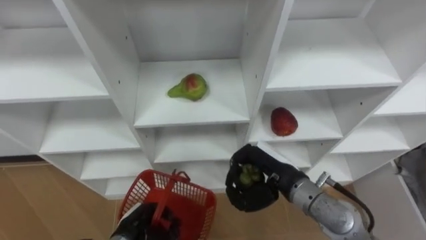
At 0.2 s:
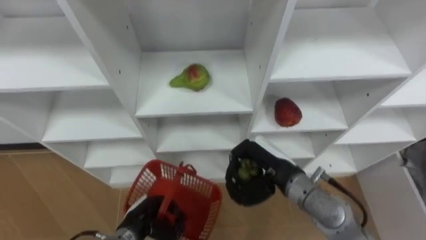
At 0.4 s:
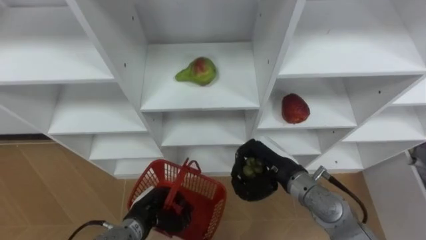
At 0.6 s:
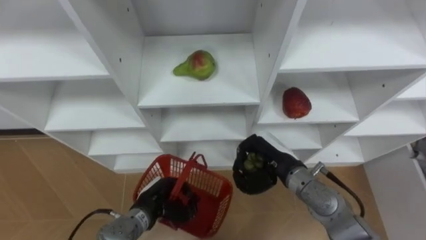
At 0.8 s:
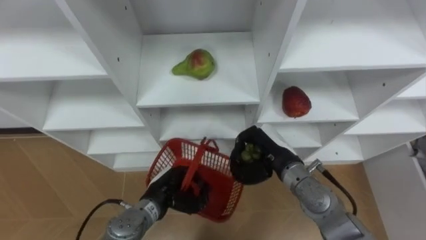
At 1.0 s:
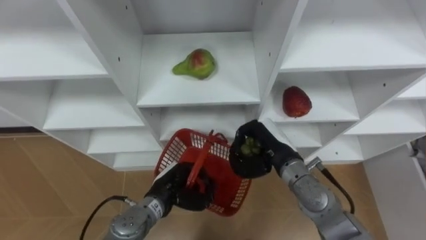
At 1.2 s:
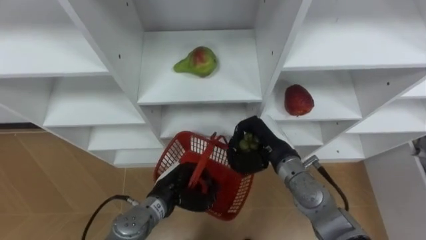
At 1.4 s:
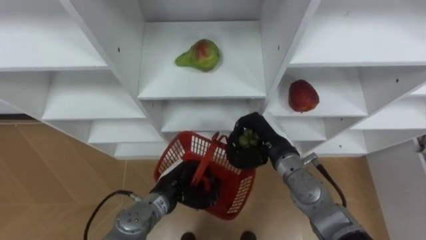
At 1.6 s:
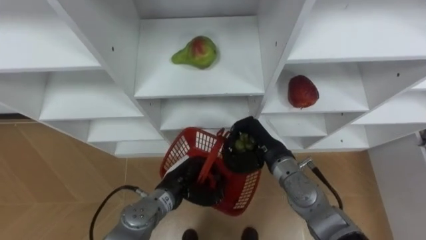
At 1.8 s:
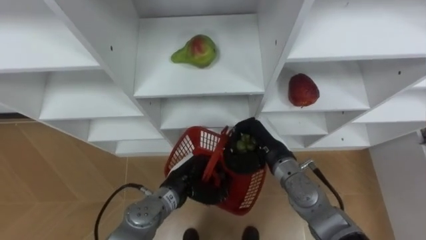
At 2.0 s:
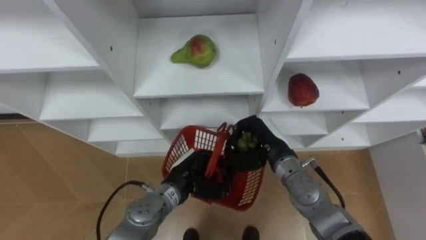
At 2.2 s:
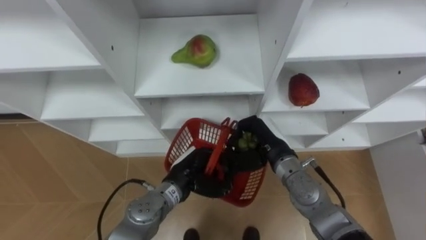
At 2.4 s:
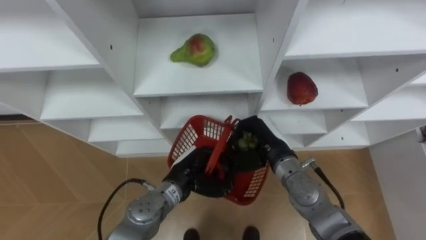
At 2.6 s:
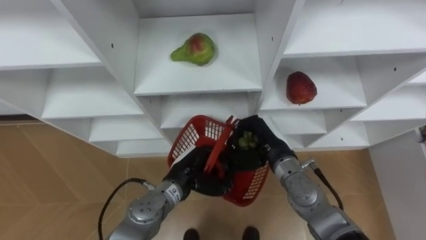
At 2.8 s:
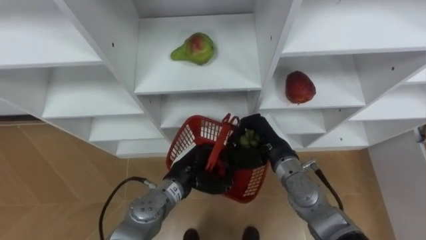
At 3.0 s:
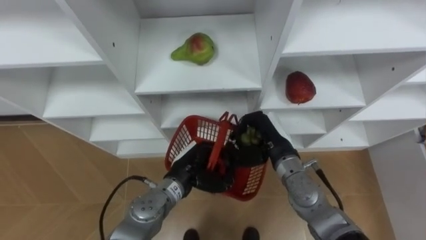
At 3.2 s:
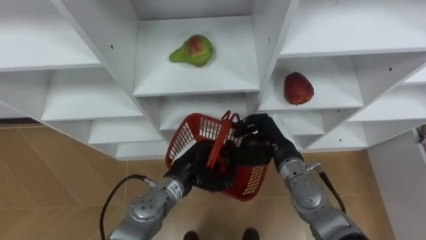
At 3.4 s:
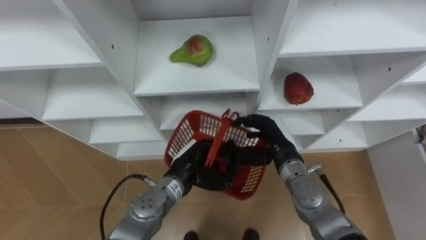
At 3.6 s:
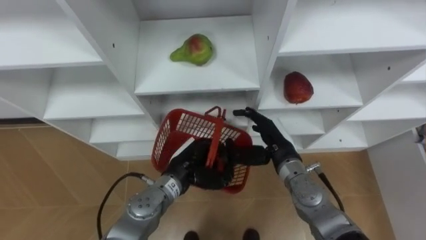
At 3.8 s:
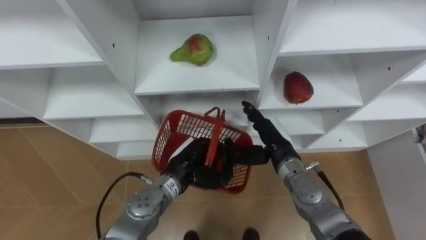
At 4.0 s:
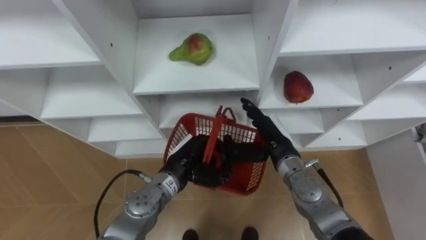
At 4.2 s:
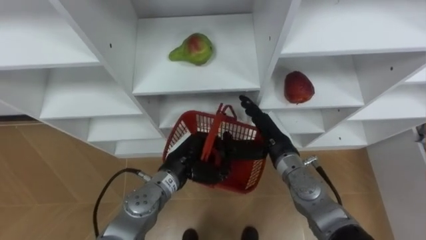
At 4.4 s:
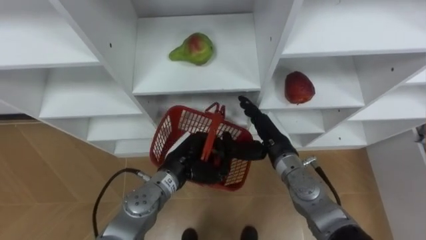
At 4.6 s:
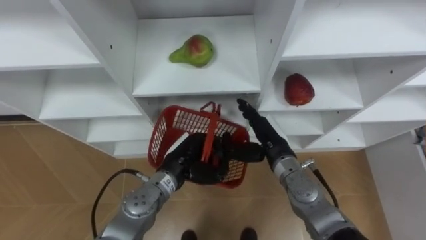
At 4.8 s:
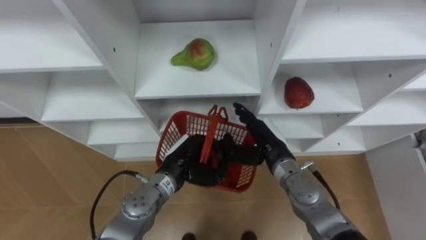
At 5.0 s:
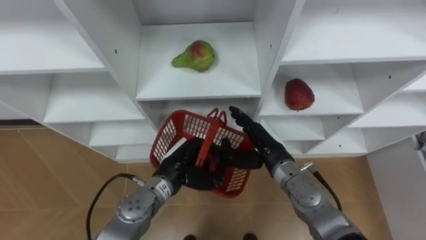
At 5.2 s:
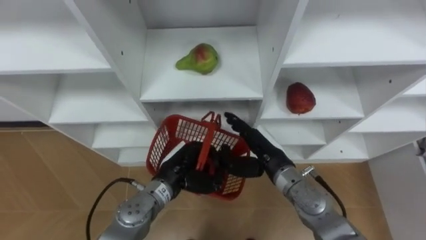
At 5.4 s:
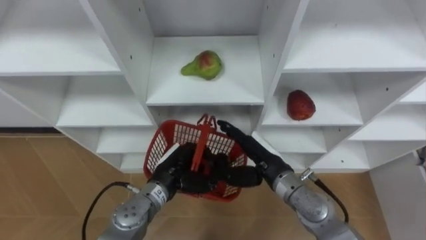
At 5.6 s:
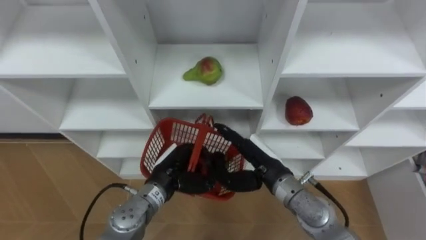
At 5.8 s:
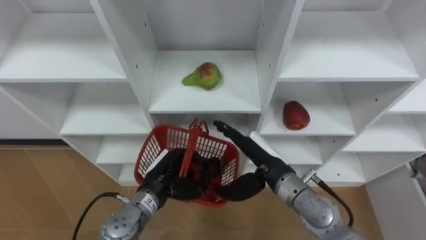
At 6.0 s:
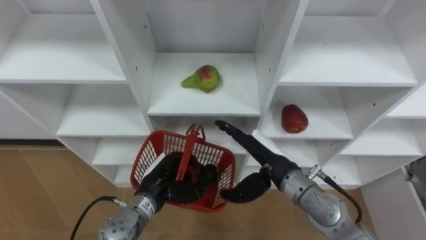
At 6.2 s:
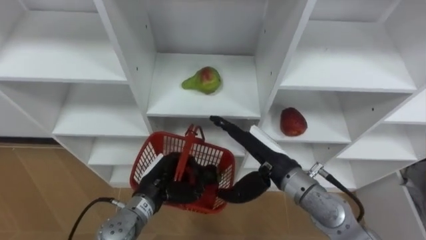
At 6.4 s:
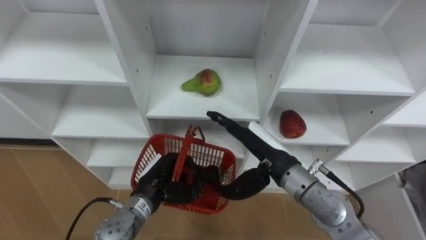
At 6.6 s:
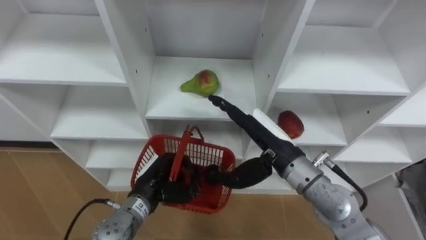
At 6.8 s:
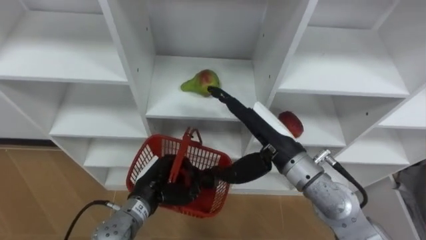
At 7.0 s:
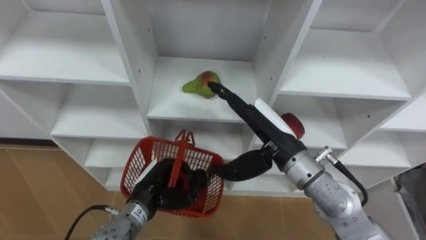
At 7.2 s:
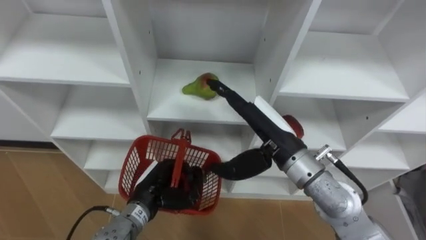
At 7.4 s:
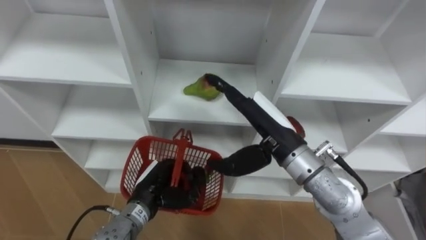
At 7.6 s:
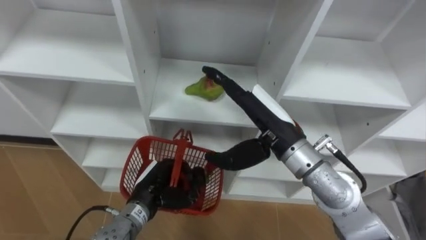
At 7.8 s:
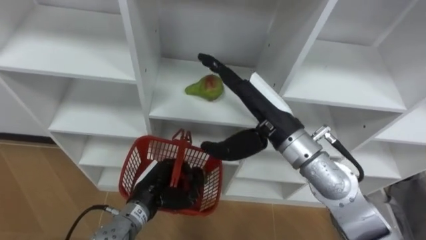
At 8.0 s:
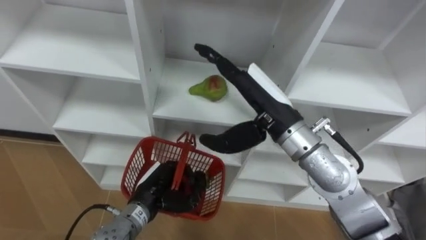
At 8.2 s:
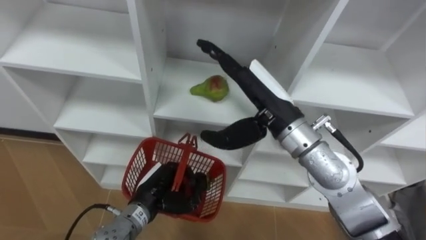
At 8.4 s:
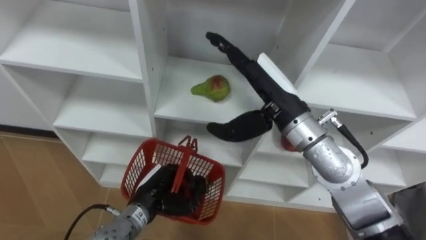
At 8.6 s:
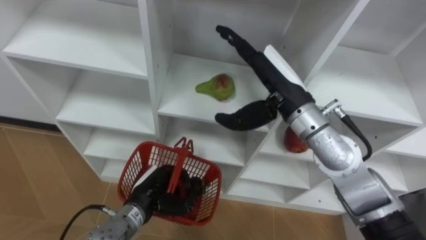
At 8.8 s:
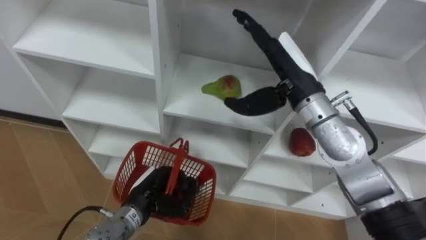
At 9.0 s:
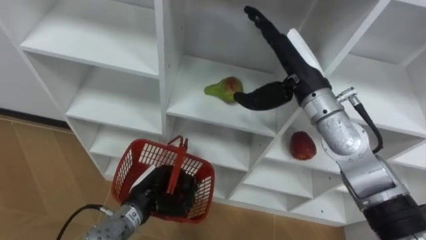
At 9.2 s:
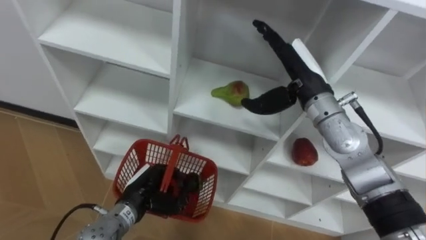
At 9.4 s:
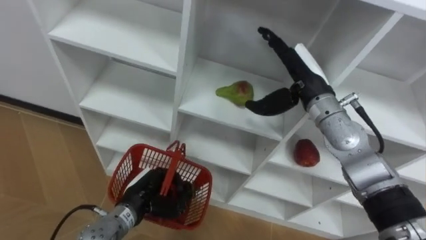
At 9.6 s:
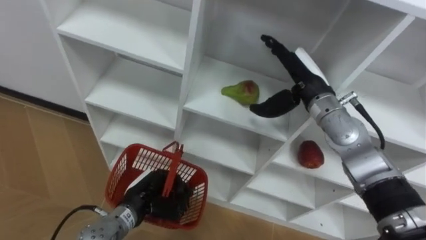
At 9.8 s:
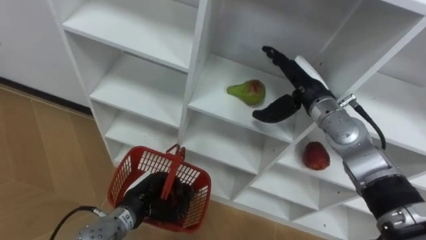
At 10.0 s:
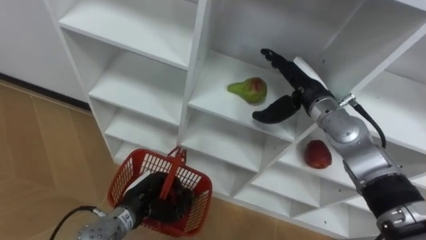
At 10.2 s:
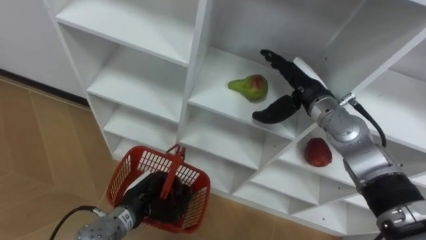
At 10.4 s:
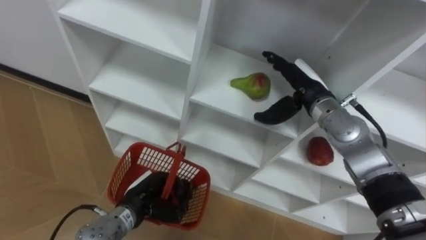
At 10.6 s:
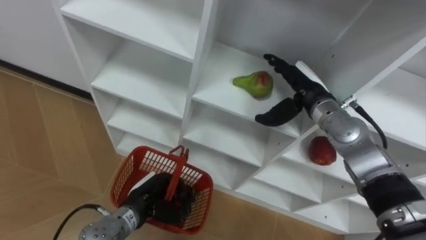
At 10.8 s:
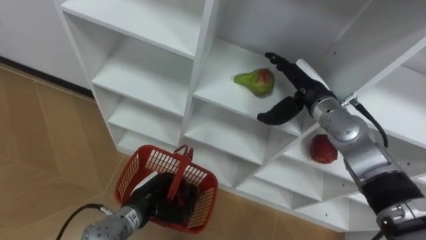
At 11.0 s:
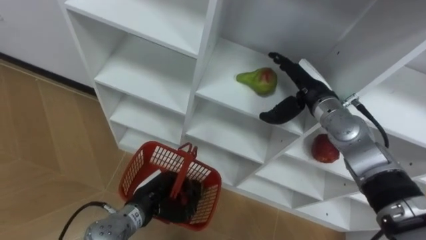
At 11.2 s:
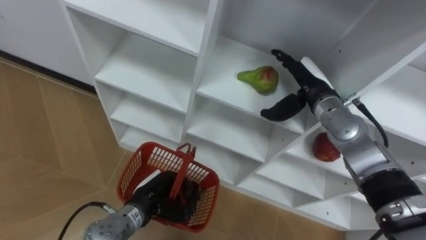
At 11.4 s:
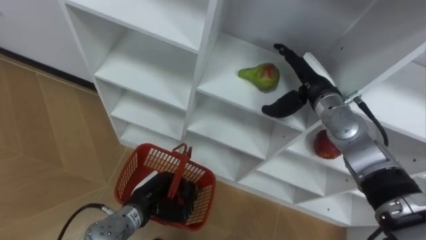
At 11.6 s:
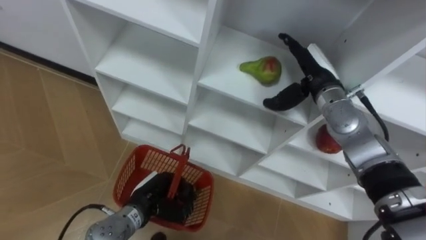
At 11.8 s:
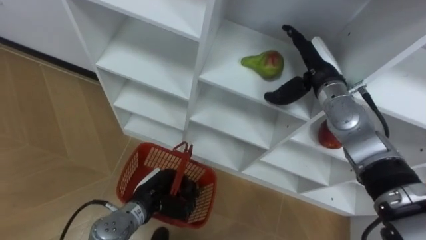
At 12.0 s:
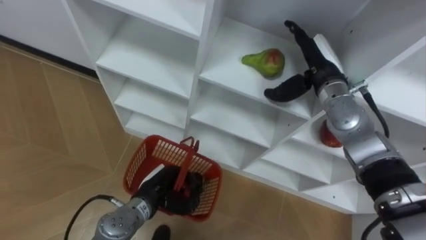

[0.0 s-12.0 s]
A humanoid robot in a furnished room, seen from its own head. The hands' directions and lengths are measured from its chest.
Task of the whole recording: Hold the basket and collect the fruits from 3 different cells of the closet into it.
0.0 to 1.6 s: The right hand shifts roughly 5 cm forward. Meanwhile the left hand travels to the right, forward and upward by about 15 cm.
3.0 to 4.4 s: The right hand opens up.
4.4 to 6.0 s: The right hand changes place by some 5 cm, while the left hand shifts approximately 5 cm to the left.
6.0 to 7.6 s: The right hand goes about 10 cm upward.
7.6 to 9.0 s: The right hand moves forward, roughly 5 cm.
9.0 to 10.4 s: The right hand moves downward, approximately 10 cm.

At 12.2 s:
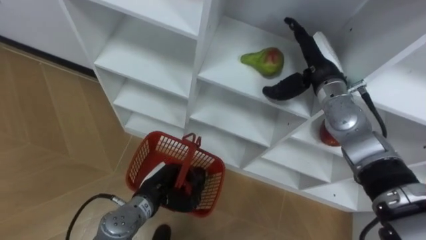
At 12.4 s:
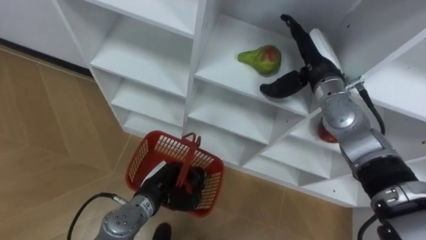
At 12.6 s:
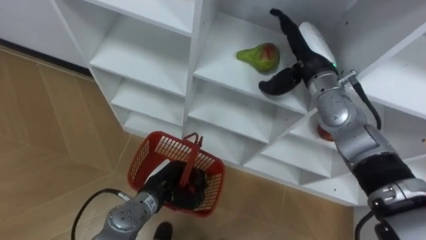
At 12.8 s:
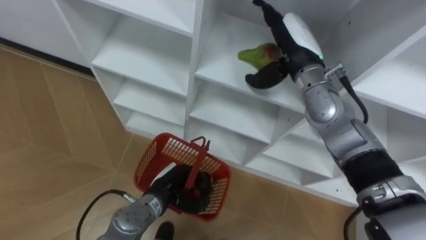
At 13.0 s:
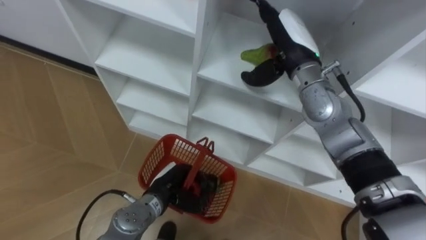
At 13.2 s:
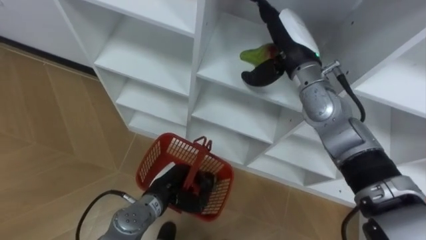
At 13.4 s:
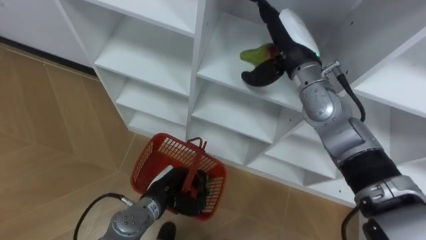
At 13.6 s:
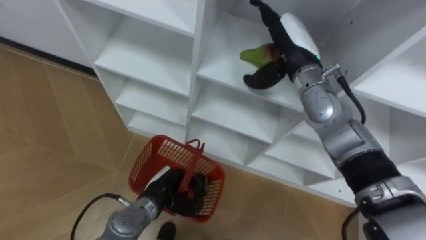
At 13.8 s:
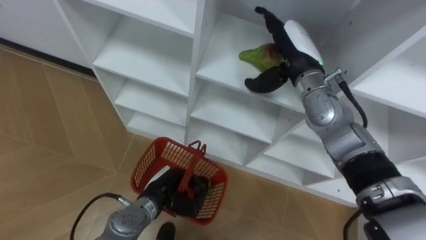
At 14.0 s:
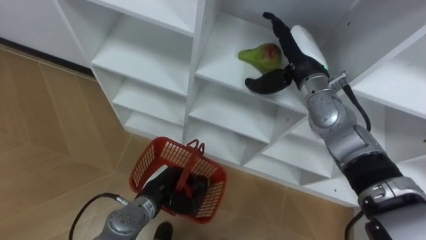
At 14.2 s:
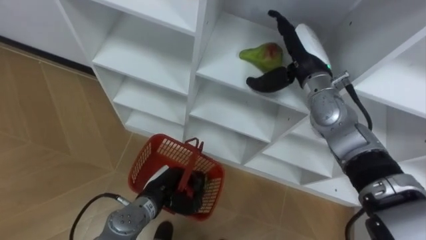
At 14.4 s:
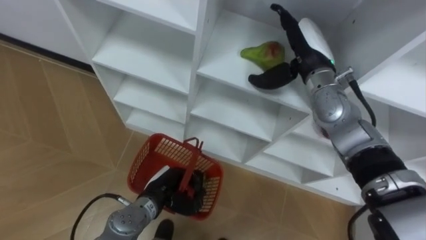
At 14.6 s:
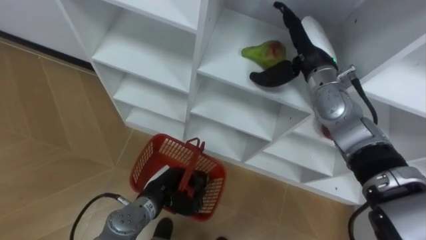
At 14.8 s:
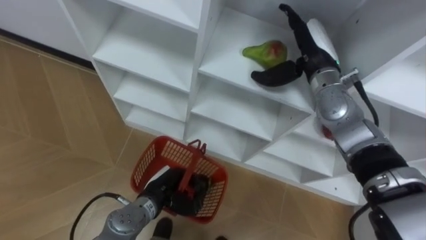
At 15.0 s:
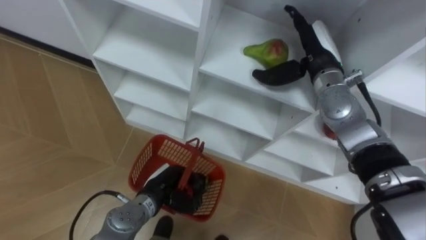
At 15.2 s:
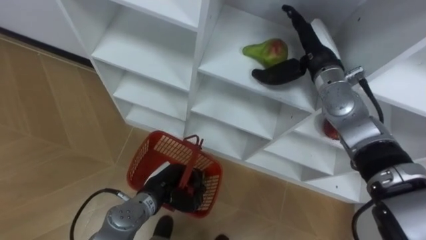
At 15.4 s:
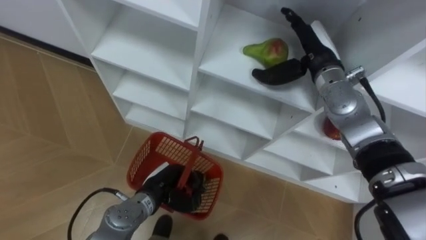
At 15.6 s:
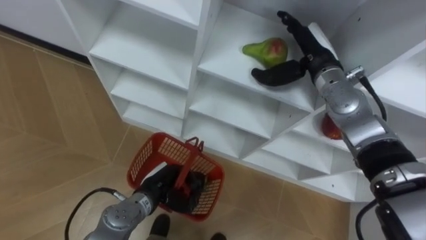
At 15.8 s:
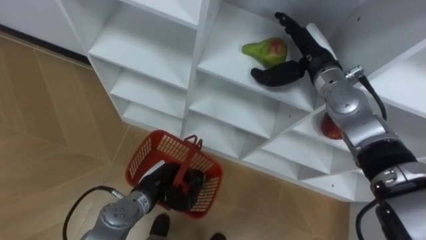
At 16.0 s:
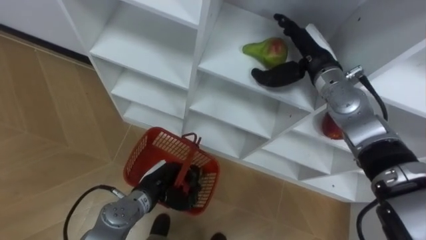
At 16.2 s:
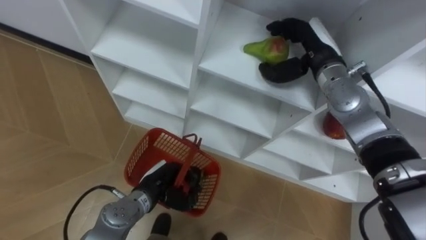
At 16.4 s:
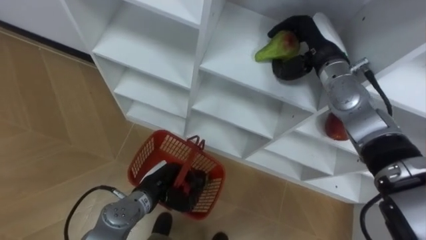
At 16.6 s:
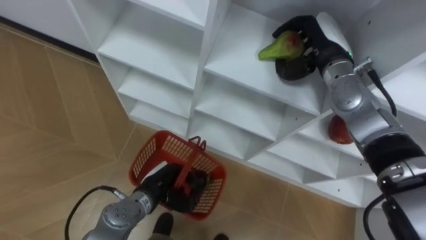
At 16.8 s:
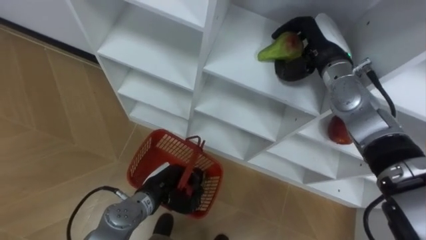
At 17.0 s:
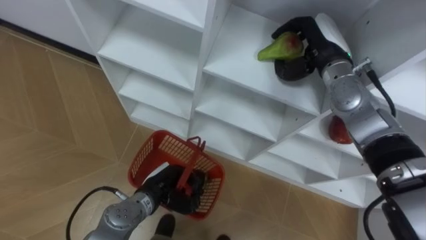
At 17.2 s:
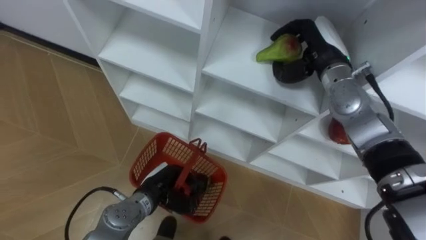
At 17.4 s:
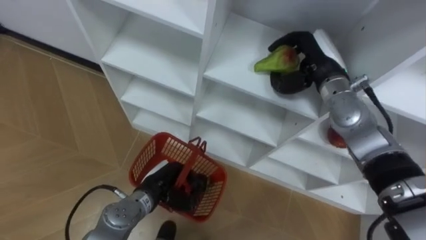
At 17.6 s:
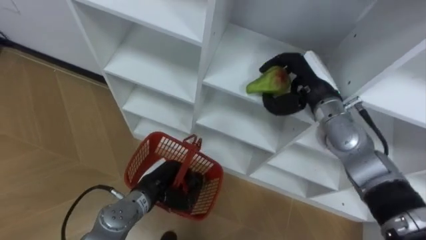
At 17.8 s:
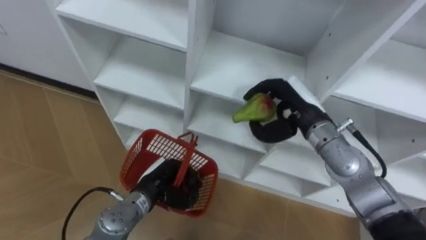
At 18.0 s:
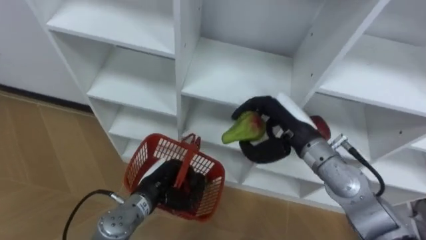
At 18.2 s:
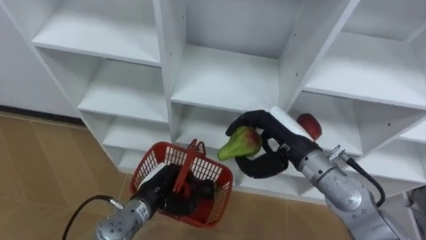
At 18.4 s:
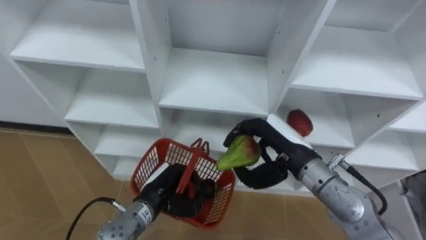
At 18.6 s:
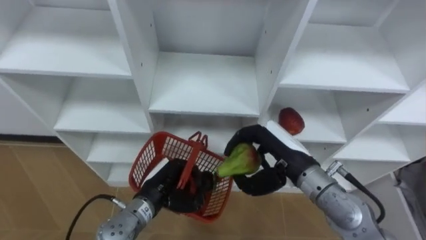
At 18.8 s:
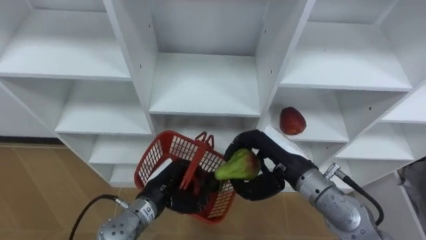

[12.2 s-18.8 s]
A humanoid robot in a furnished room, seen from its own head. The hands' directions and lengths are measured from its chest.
Task of the whole recording: Hold the basket and collect the fruits from 3 different cells of the closet into it.
12.2 to 13.8 s: The right hand ends up about 5 cm from where it was.
15.4 to 17.2 s: The right hand closes its fingers.
17.2 to 18.8 s: The right hand goes some 20 cm backward and downward.
